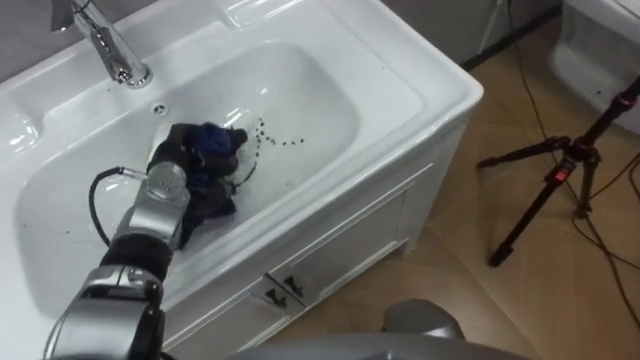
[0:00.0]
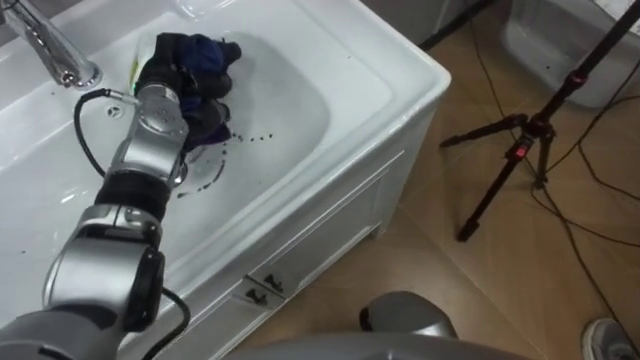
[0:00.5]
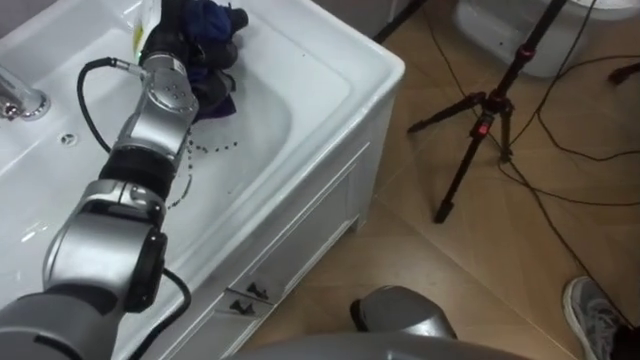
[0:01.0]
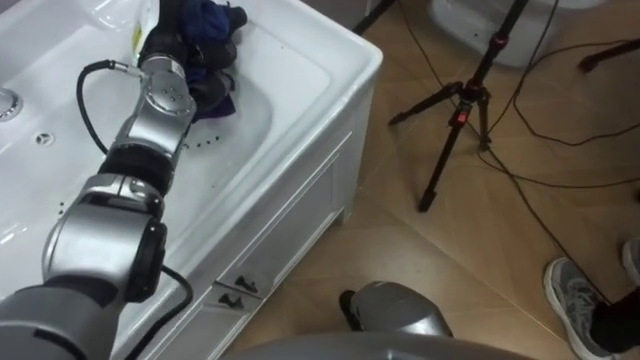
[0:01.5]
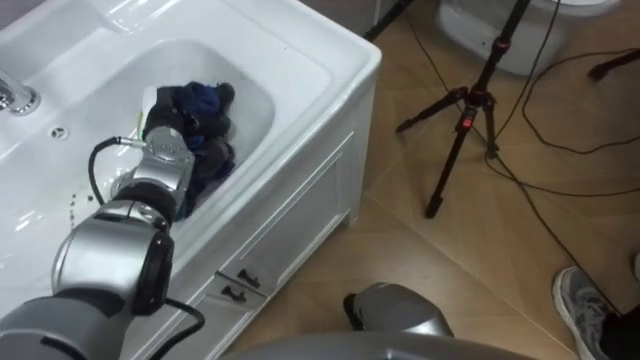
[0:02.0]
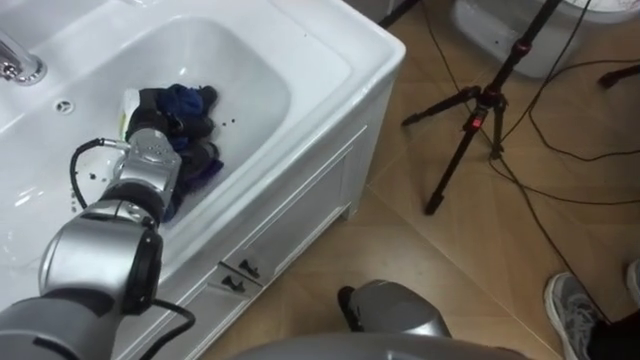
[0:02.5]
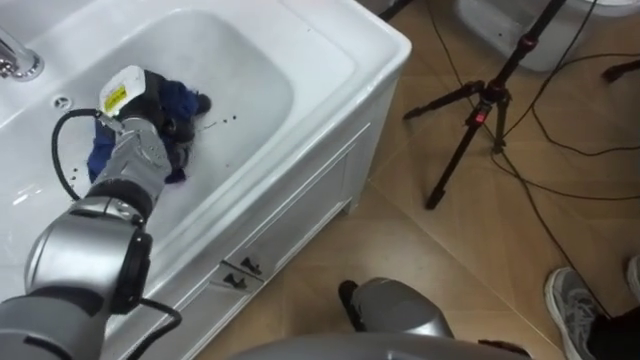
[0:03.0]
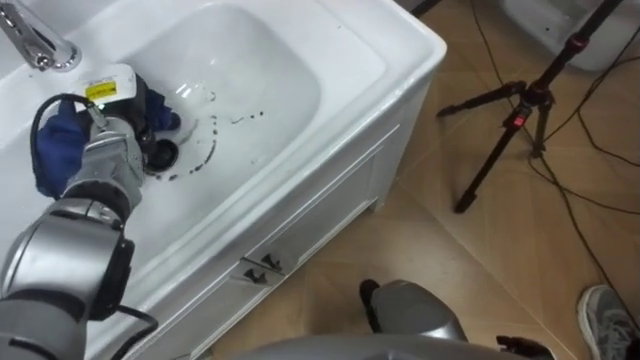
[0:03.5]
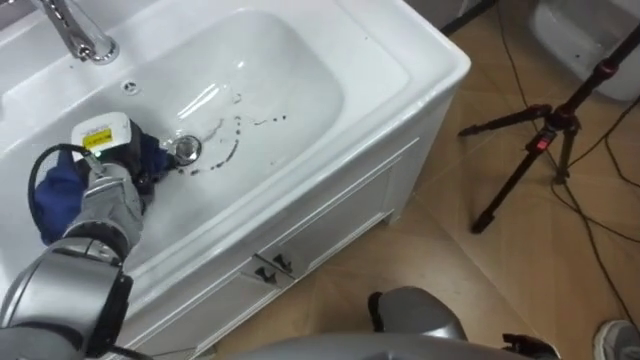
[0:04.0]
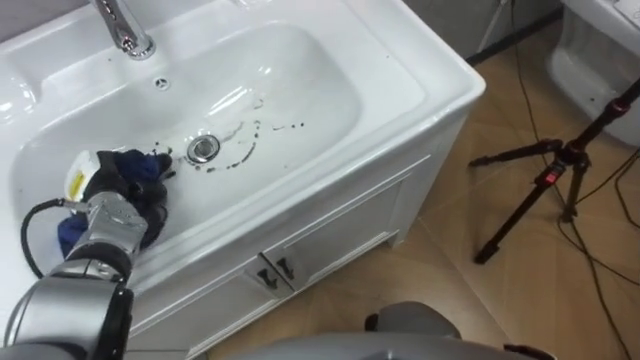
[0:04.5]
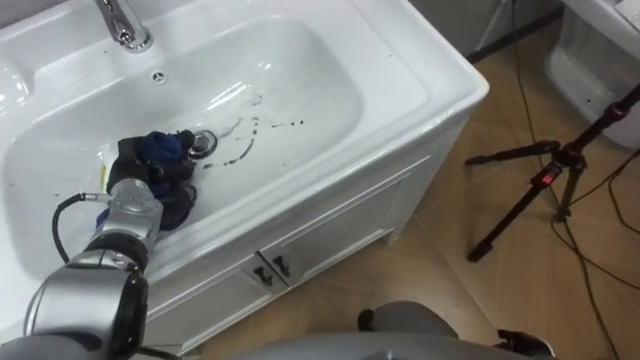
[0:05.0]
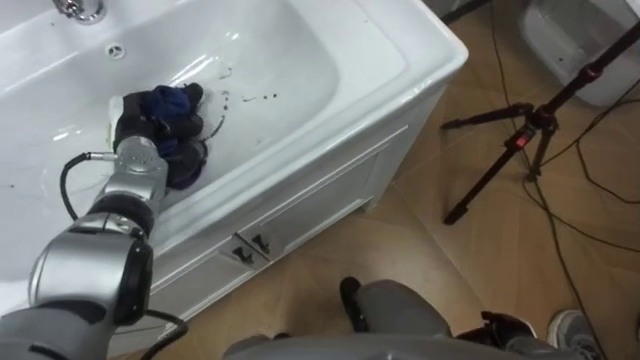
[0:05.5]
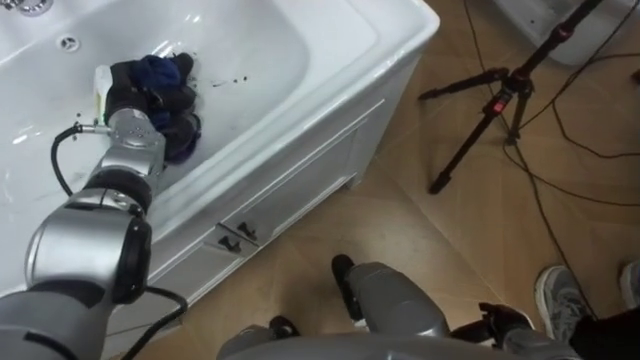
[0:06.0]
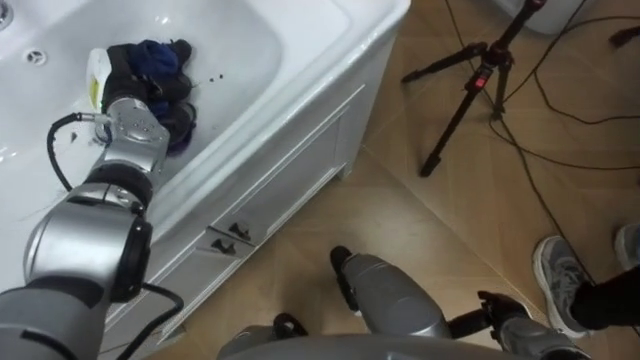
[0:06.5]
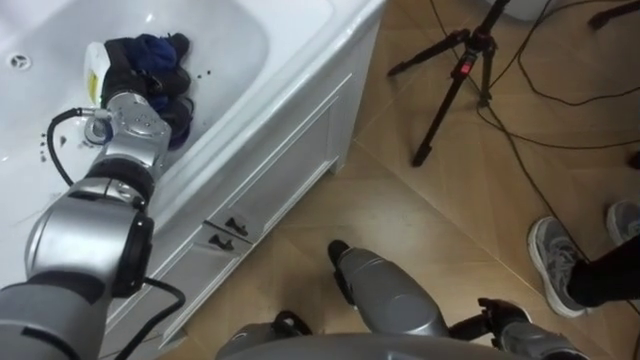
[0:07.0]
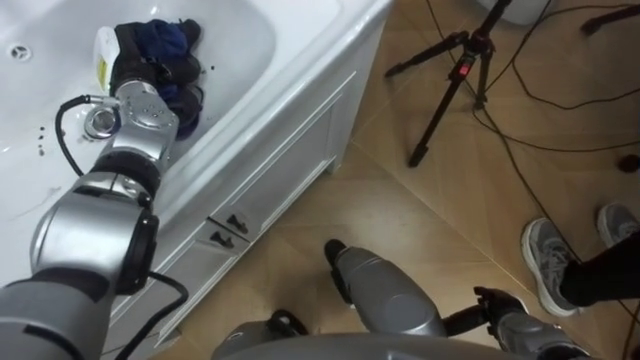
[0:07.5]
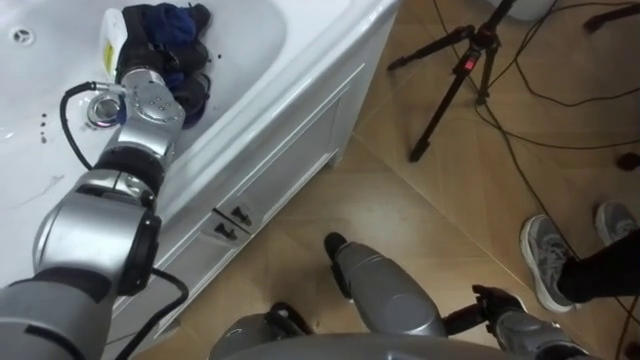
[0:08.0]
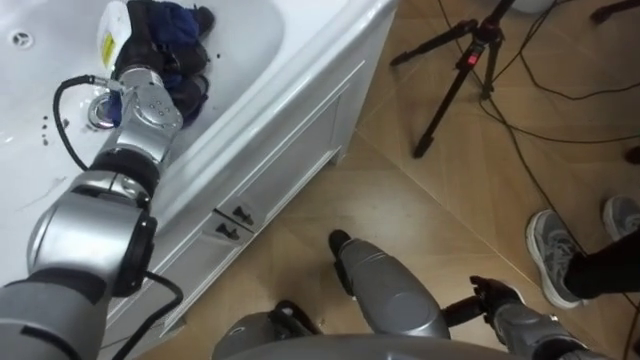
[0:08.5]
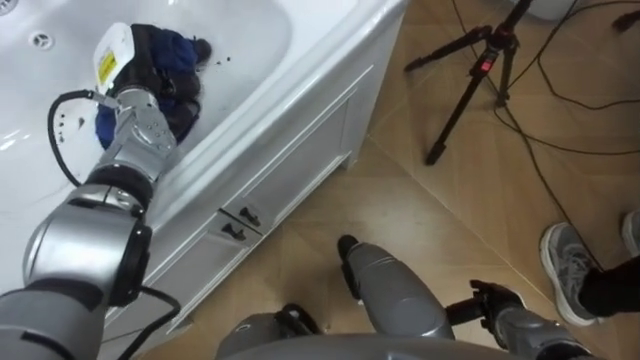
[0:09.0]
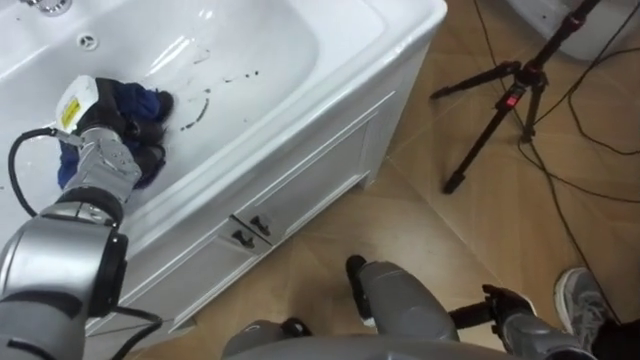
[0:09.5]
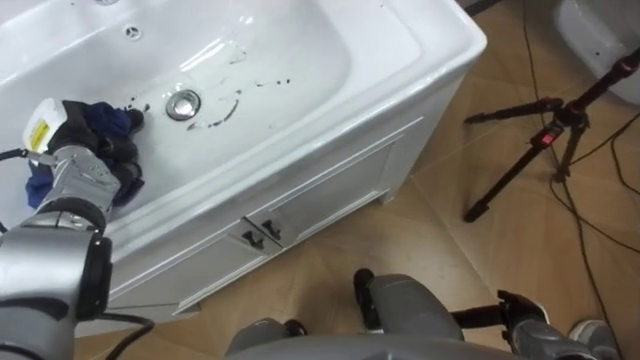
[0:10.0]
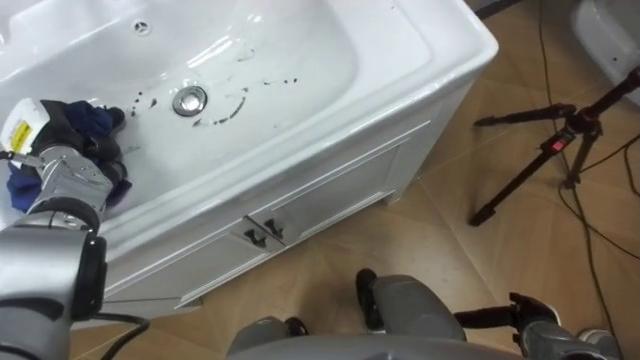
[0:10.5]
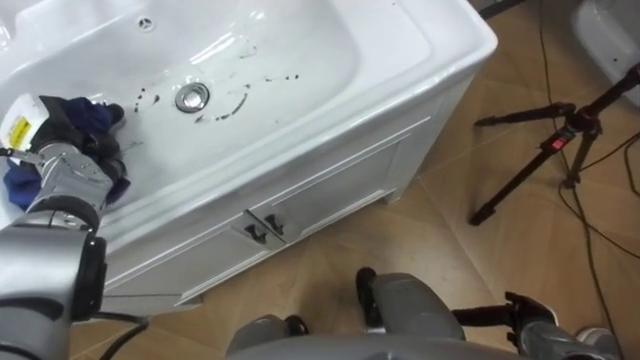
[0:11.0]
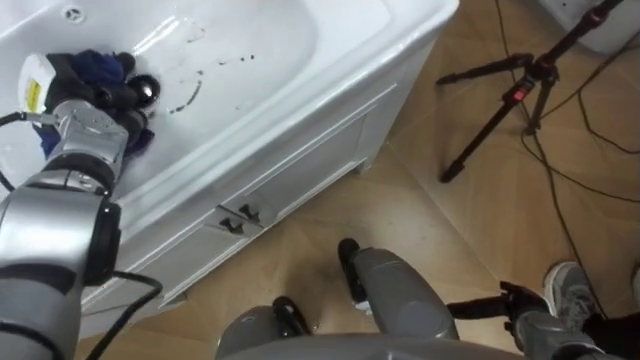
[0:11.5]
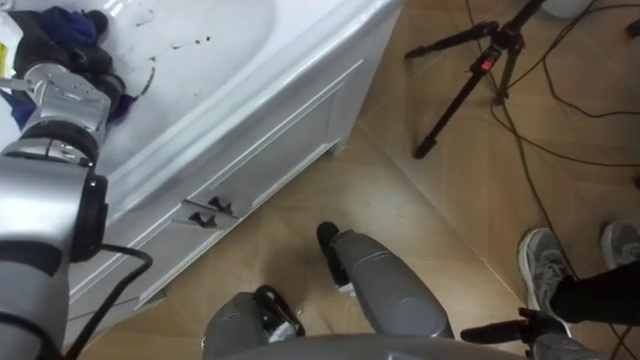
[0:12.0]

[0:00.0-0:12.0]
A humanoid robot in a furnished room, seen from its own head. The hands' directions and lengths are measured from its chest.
Task of the whole recording: Use the cloth on the right to wipe away the black stain in the sink.
0:00.0 to 0:02.0: The left hand travels upward and back again, about 15 cm each way.
0:02.0 to 0:04.0: The left hand shifts about 5 cm to the left.
0:04.0 to 0:06.0: The left hand shifts about 5 cm forward.
0:06.0 to 0:08.0: The left hand shifts some 5 cm upward.
0:08.0 to 0:10.0: The left hand moves to the left, backward and downward, about 15 cm.
0:10.0 to 0:12.0: The left hand moves upward and forward, approximately 10 cm.

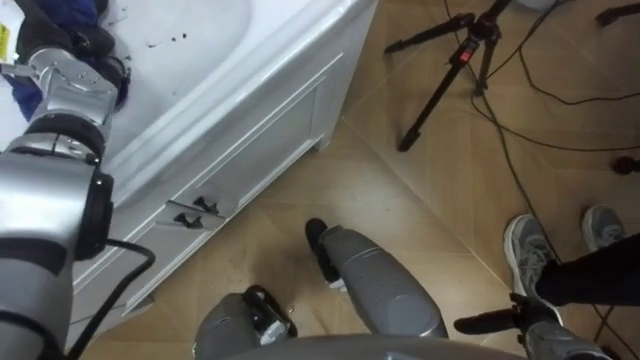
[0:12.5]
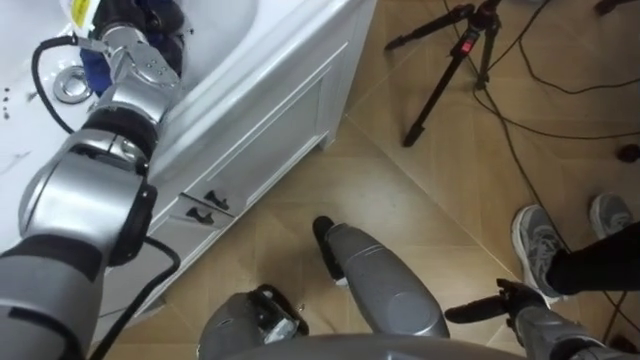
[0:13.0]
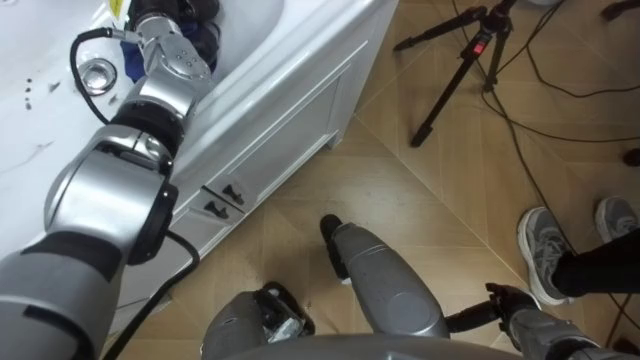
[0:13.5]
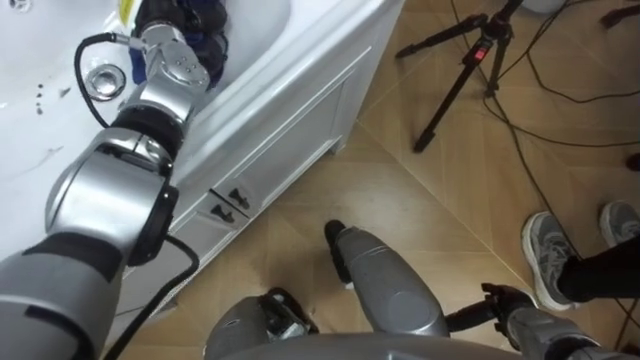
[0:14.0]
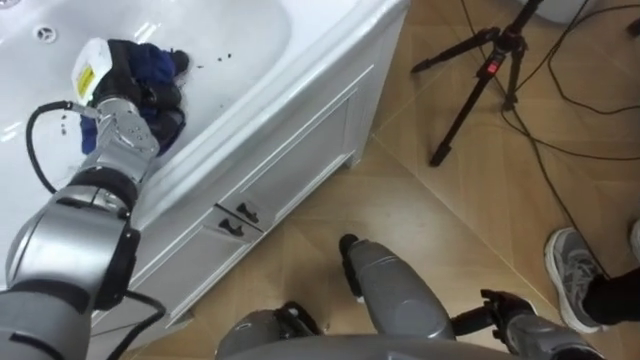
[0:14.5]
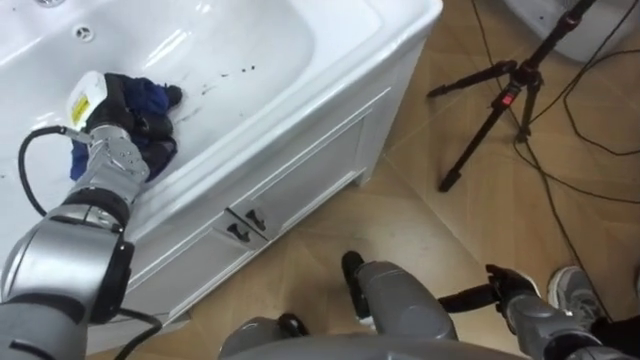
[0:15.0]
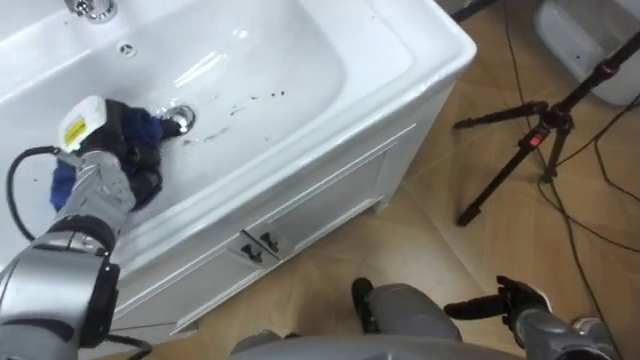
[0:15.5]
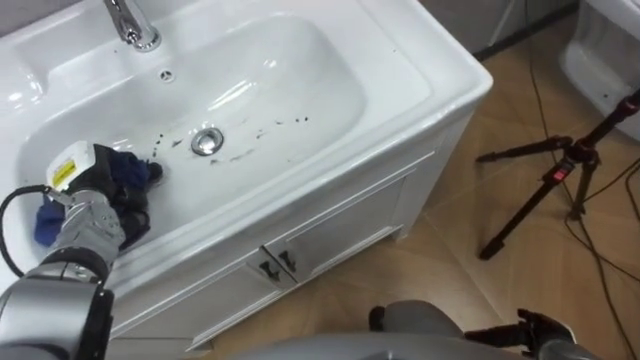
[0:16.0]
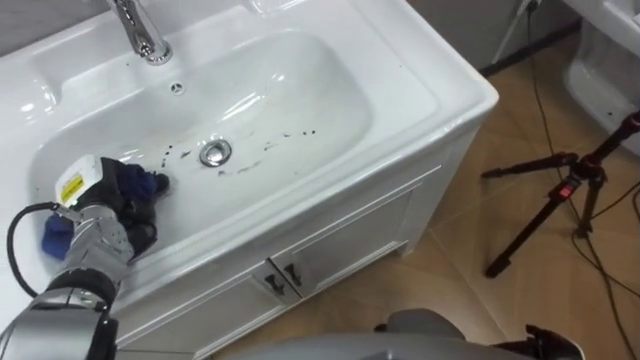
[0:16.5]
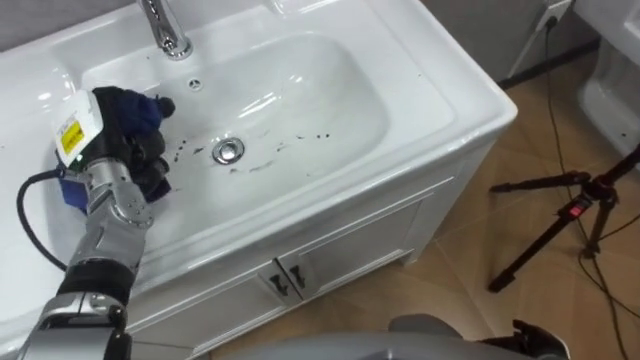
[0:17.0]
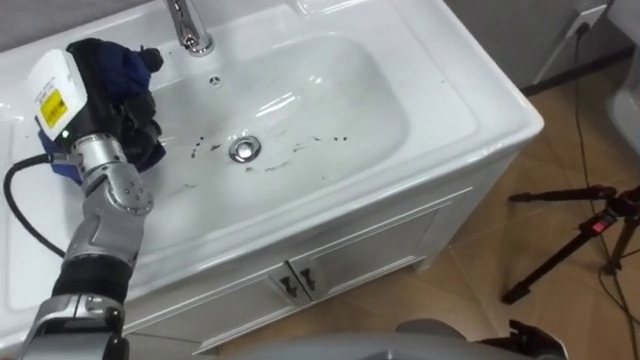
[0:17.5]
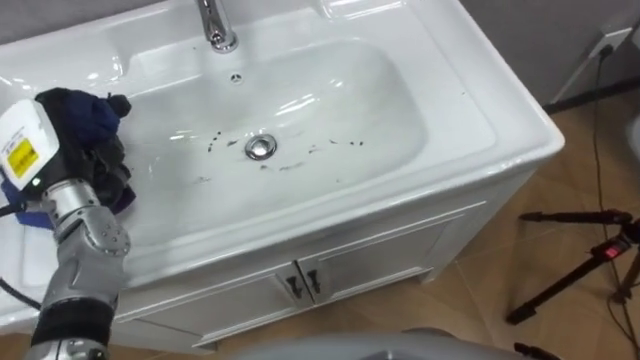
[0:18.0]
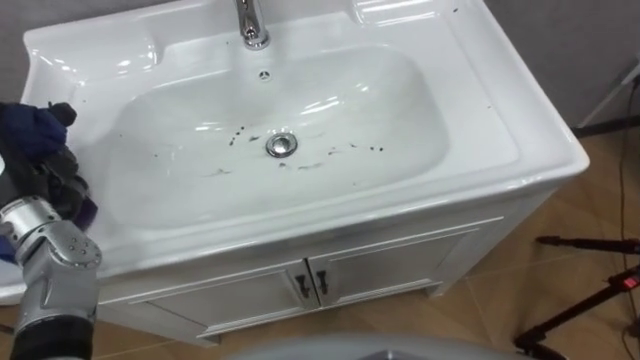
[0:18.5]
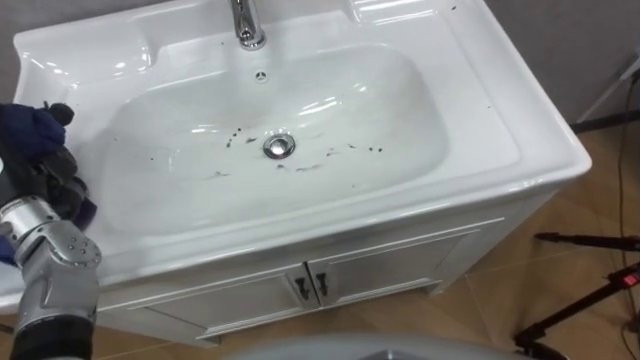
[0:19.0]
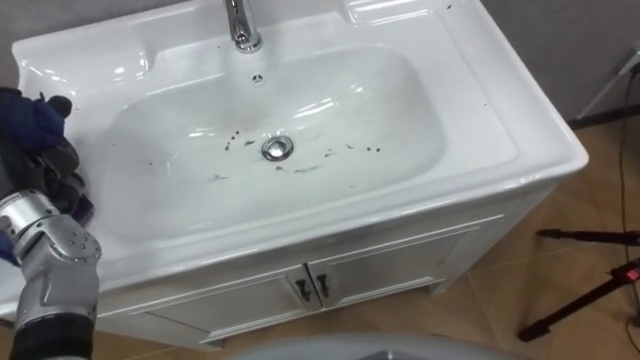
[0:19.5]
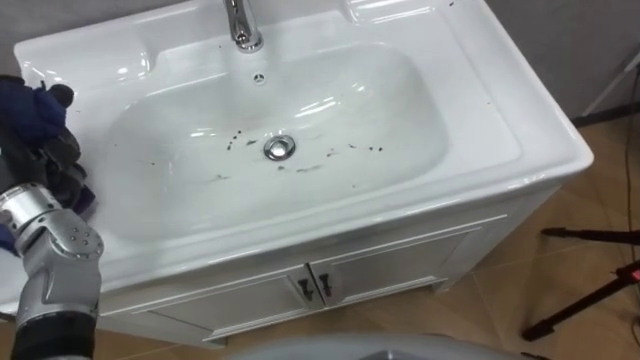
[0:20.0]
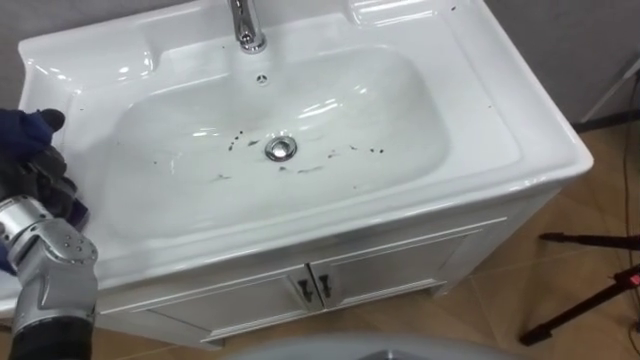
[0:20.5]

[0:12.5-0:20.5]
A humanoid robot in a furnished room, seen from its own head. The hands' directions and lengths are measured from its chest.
Task of the whole recording: Use the cloth on the right to wipe away the black stain in the sink.
0:14.5 to 0:16.5: The left hand goes approximately 15 cm backward and downward.
